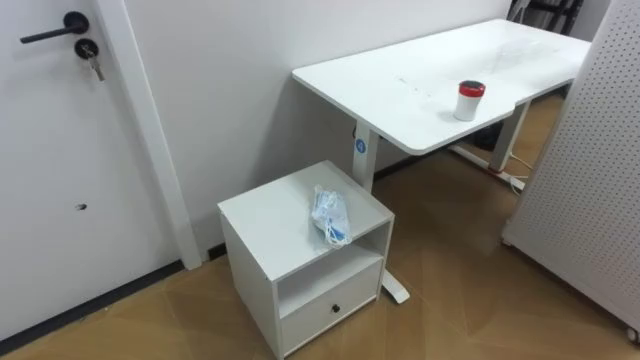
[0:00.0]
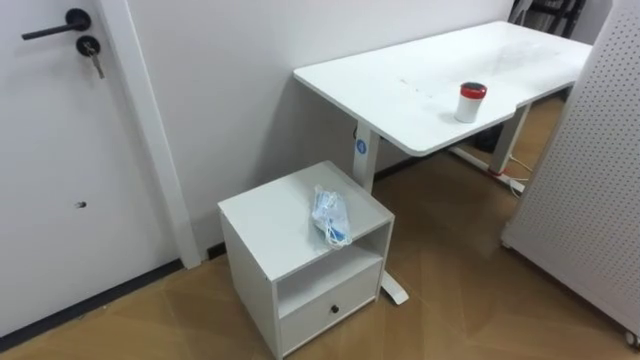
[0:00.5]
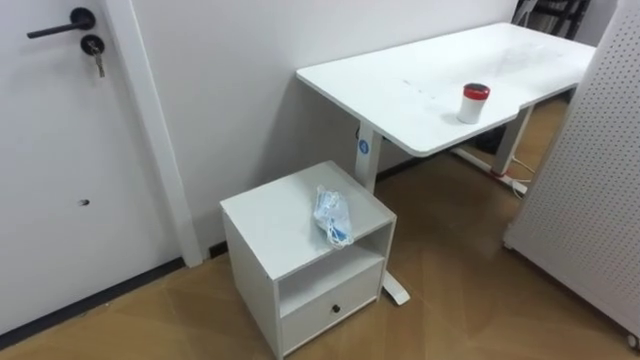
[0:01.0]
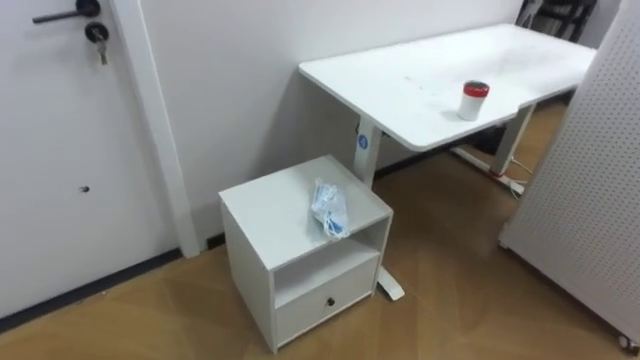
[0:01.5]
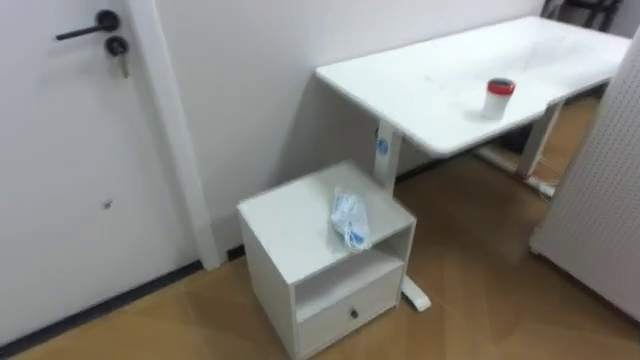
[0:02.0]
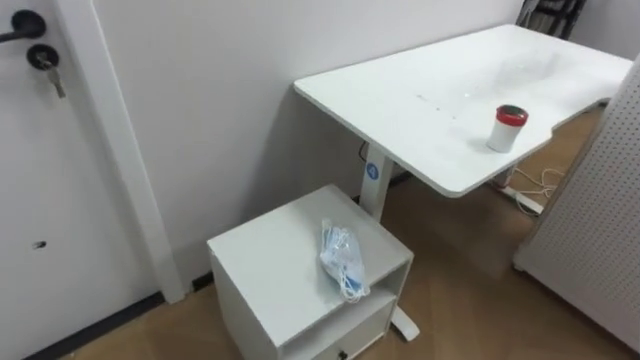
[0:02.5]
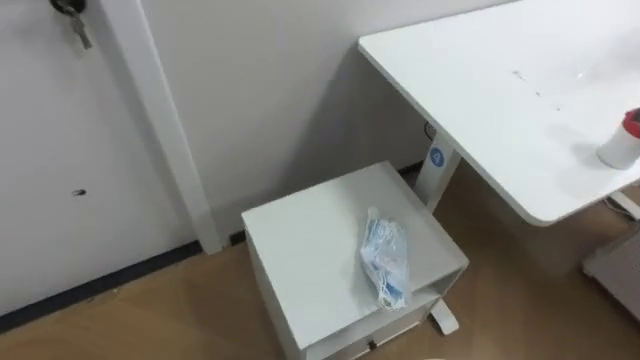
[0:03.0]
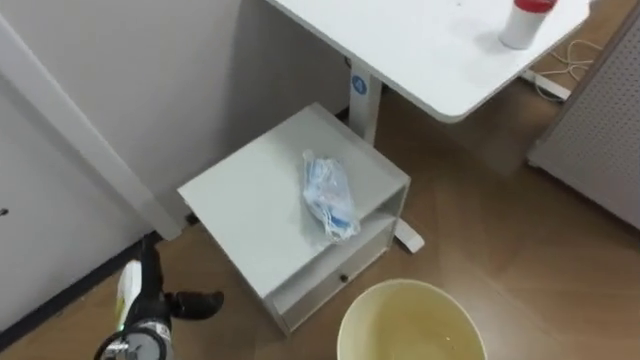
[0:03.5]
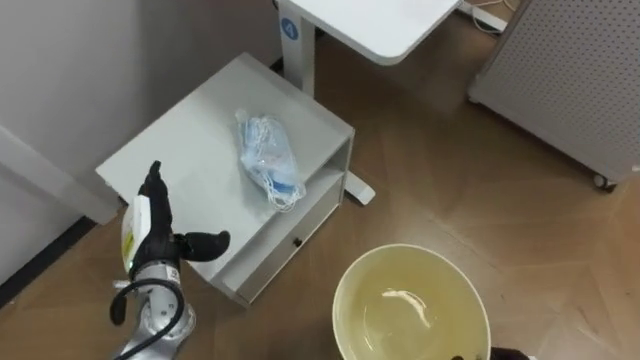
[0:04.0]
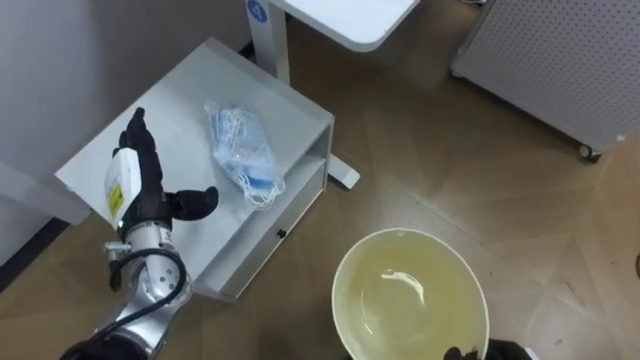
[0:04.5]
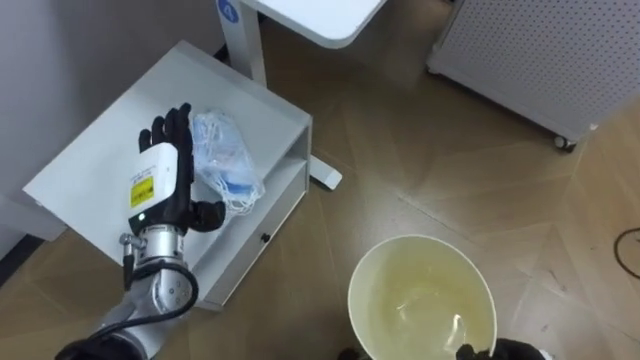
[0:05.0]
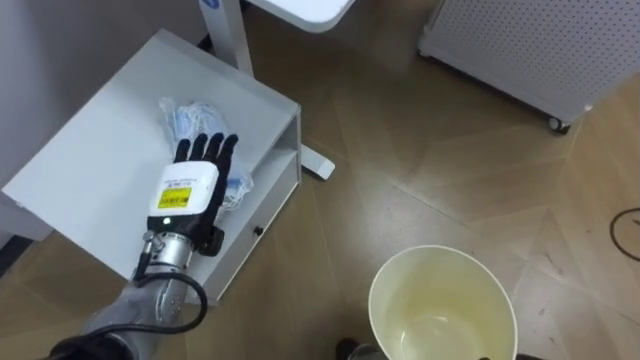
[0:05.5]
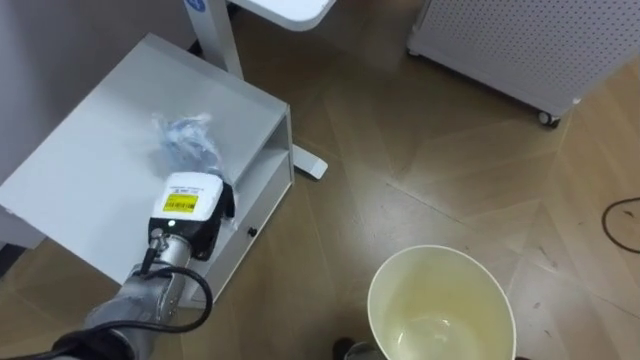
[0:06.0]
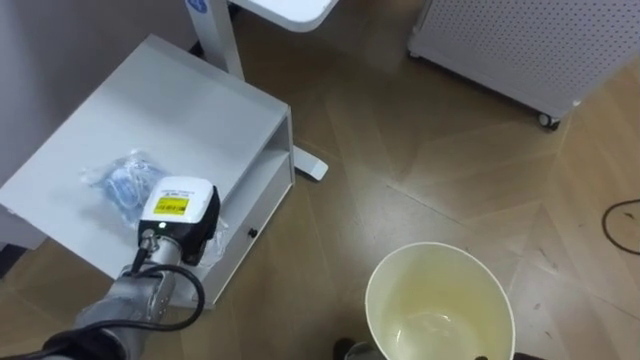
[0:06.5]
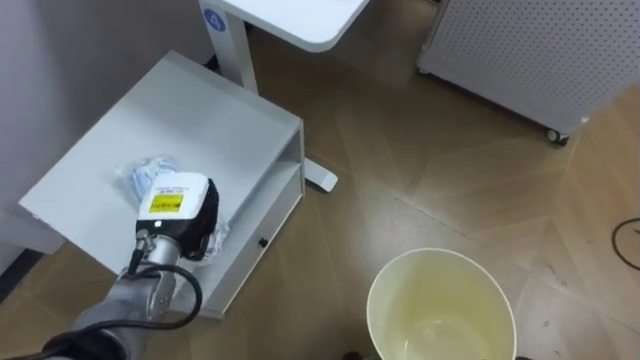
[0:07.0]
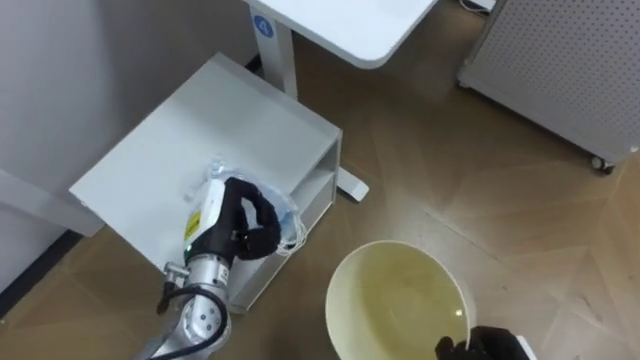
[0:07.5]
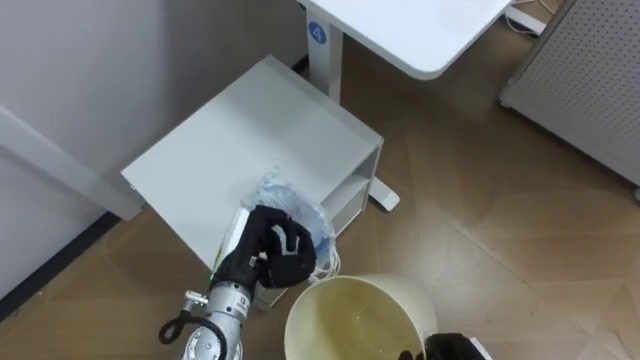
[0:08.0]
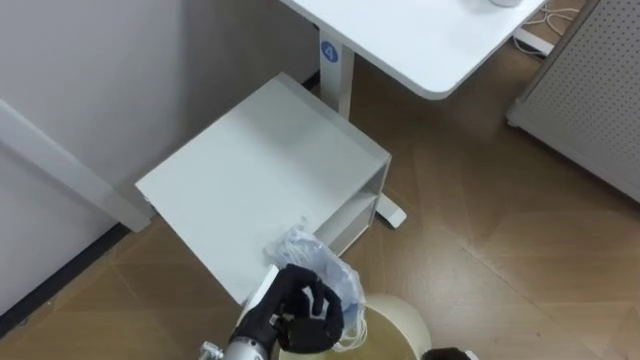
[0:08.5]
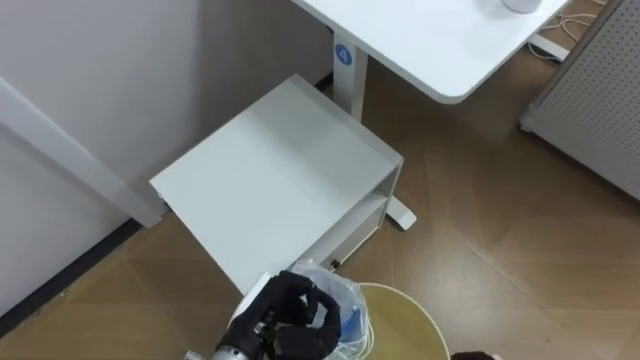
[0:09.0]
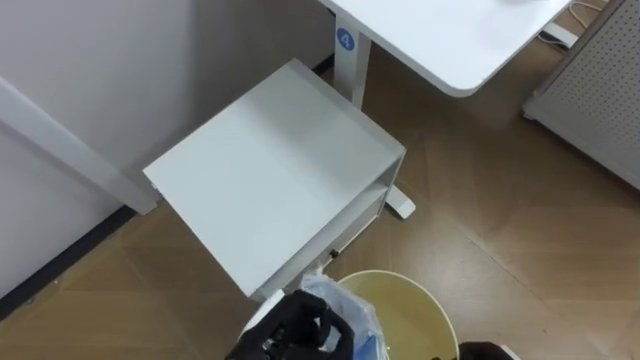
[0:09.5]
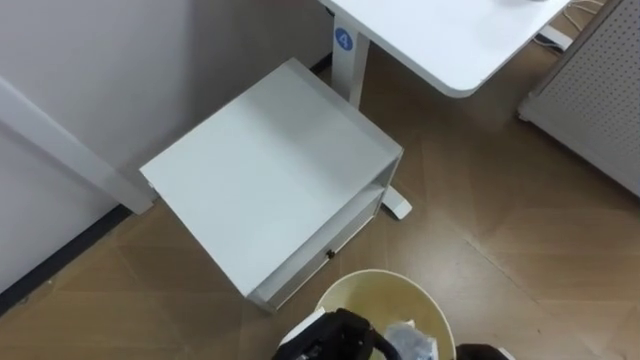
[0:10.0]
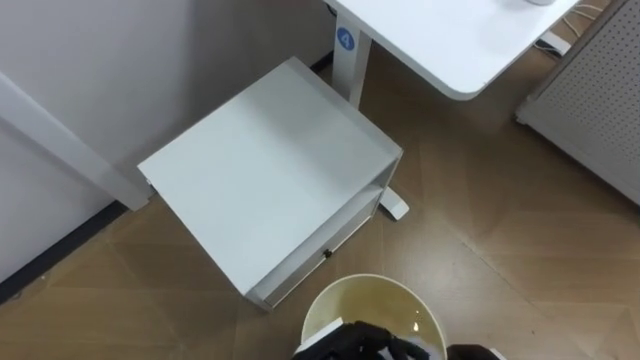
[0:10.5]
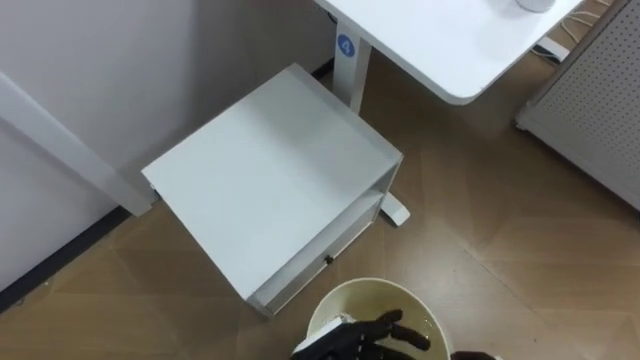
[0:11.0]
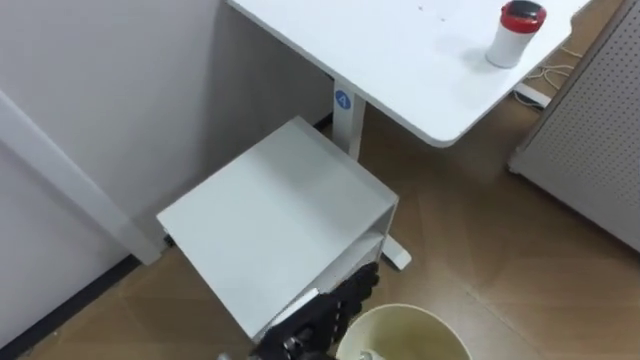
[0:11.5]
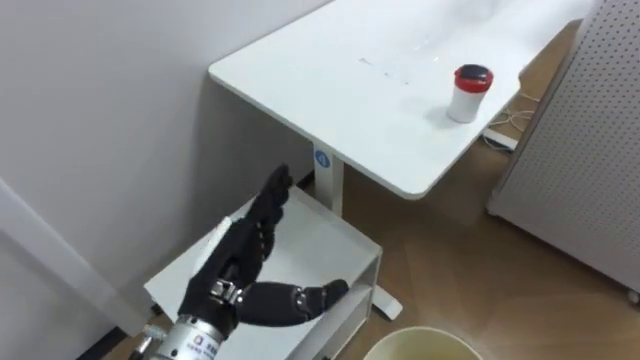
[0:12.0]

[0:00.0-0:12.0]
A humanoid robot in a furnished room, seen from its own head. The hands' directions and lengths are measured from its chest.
Task of the whole recording: Pick up the light blue package, the candy box, and the dark blue package separately, and put them into the trash can held in your right hand.
0:04.0 to 0:06.0: The left hand moves approximately 5 cm, and closes.
0:06.0 to 0:08.0: The left hand goes about 5 cm to the right, and closes.
0:08.0 to 0:10.0: The left hand heads backward and to the right, covering approximately 15 cm.

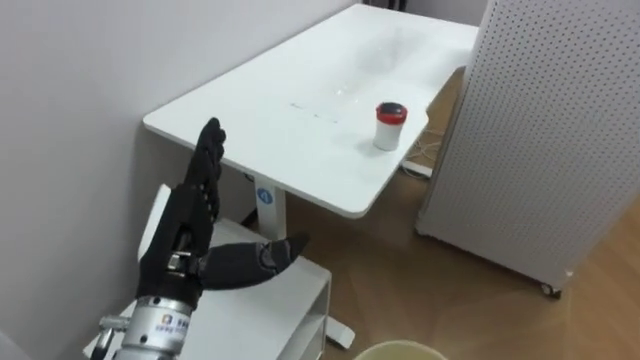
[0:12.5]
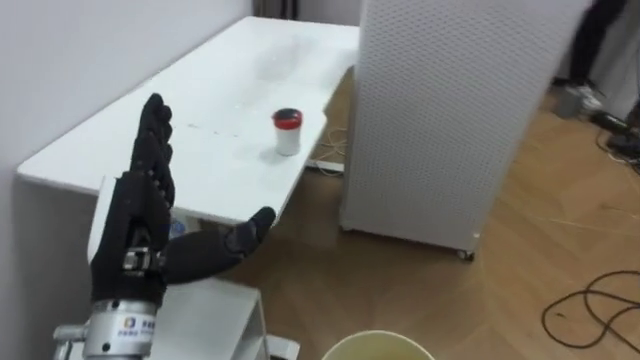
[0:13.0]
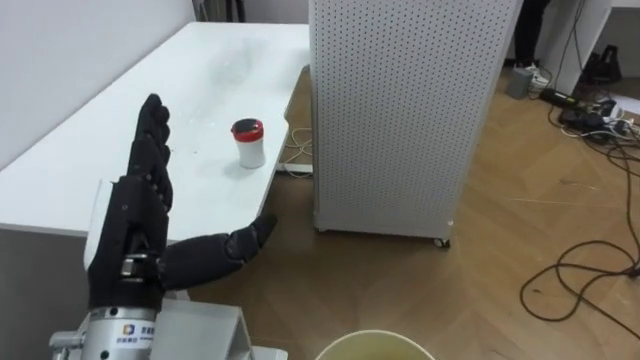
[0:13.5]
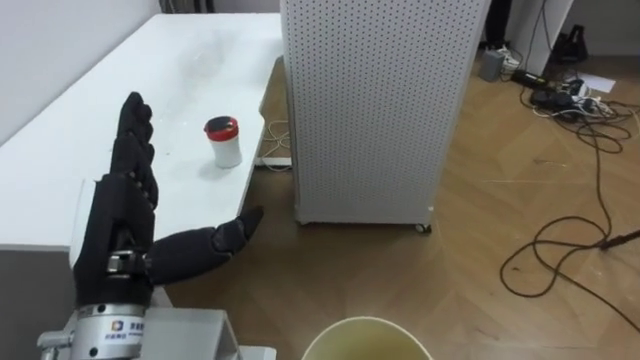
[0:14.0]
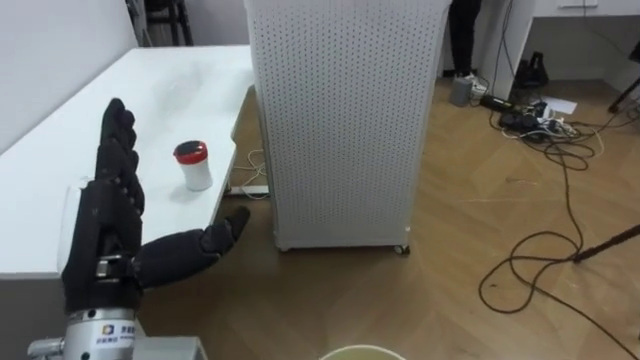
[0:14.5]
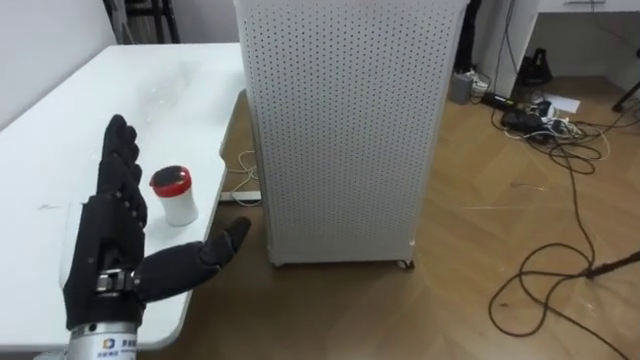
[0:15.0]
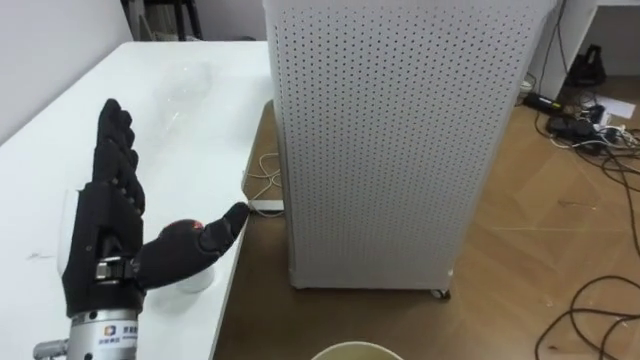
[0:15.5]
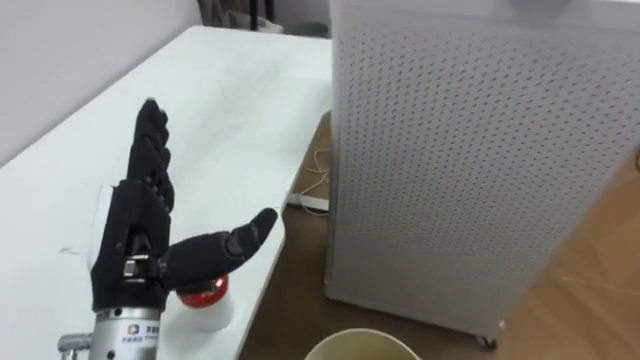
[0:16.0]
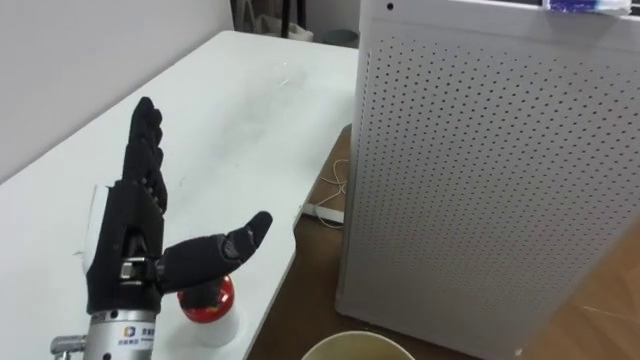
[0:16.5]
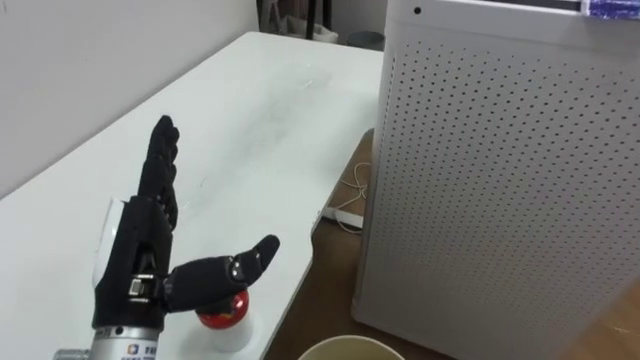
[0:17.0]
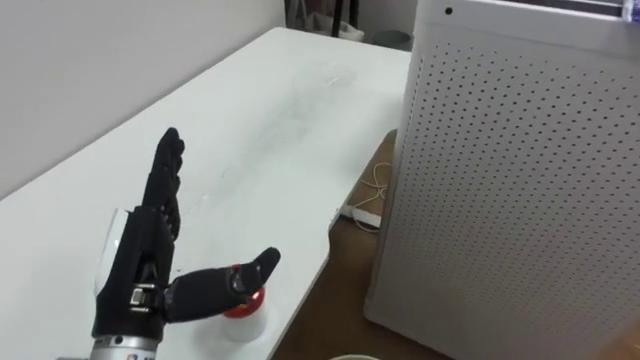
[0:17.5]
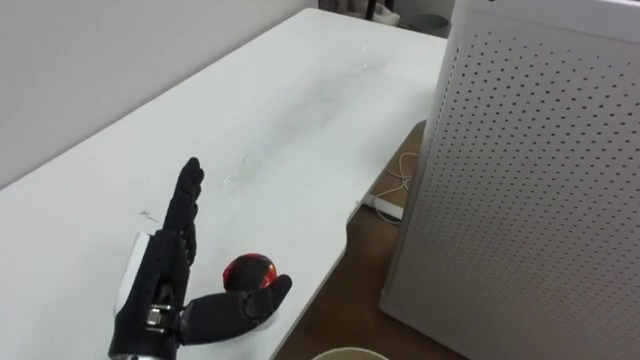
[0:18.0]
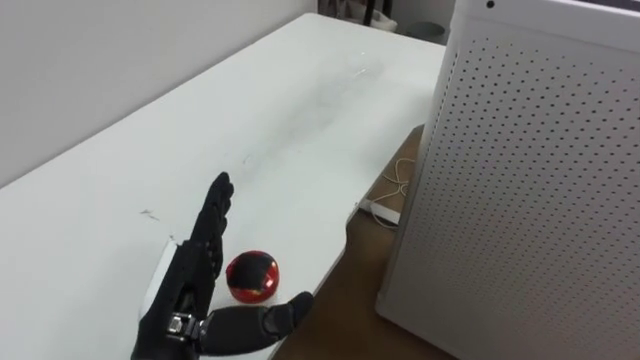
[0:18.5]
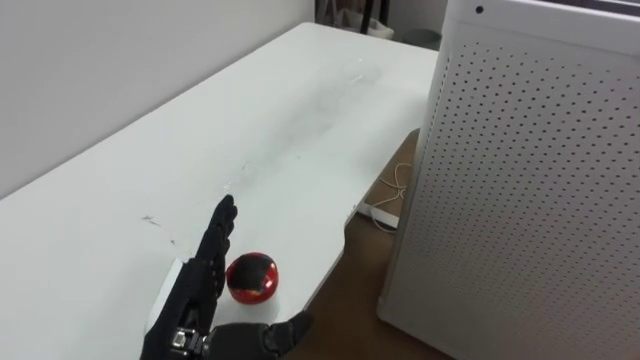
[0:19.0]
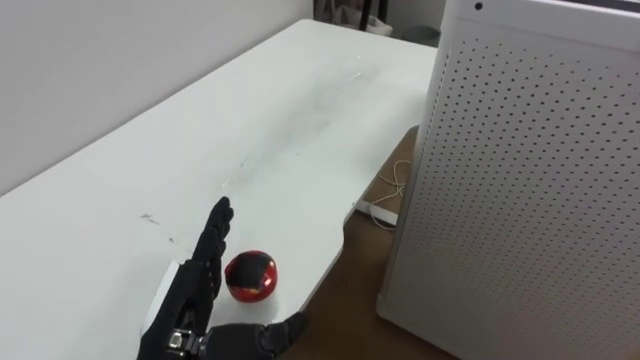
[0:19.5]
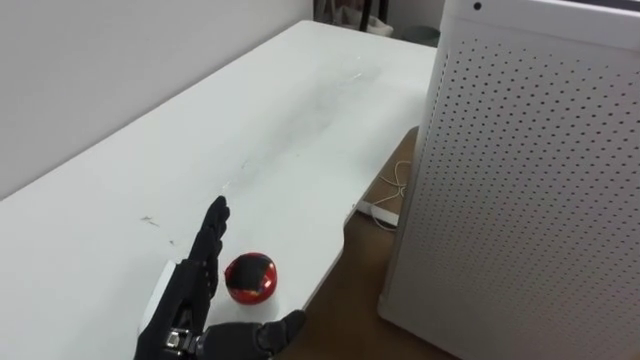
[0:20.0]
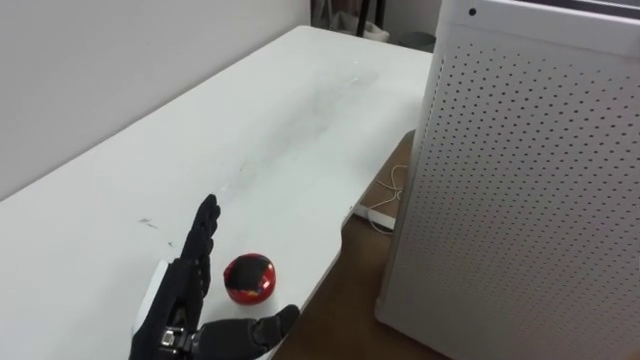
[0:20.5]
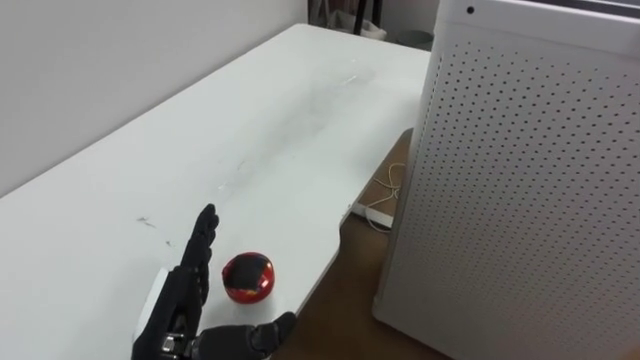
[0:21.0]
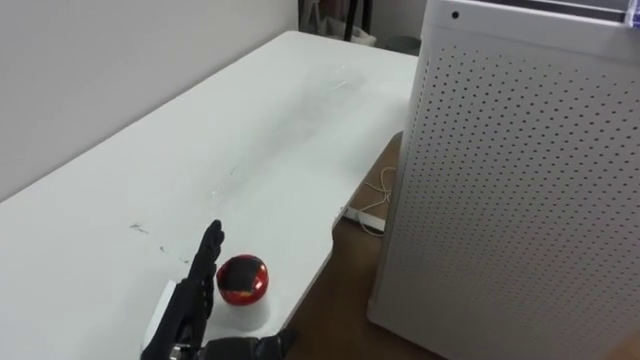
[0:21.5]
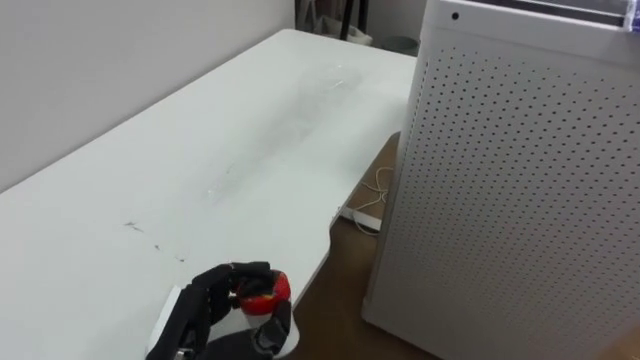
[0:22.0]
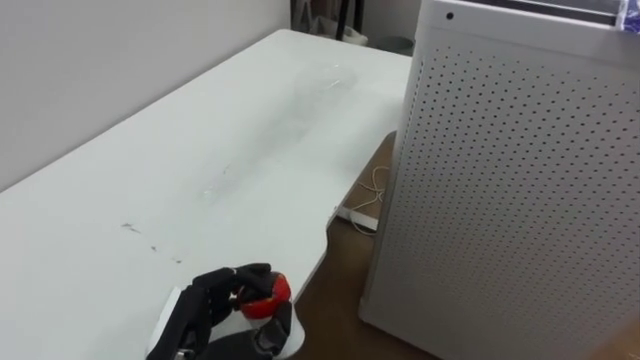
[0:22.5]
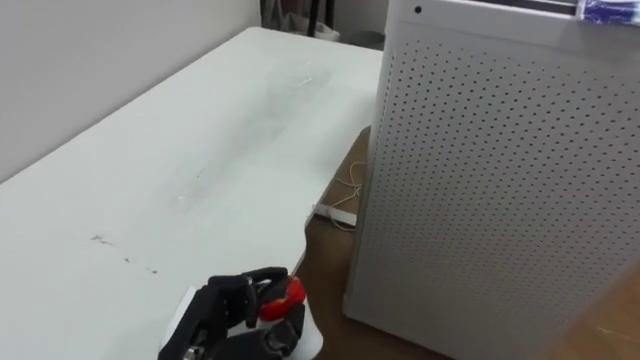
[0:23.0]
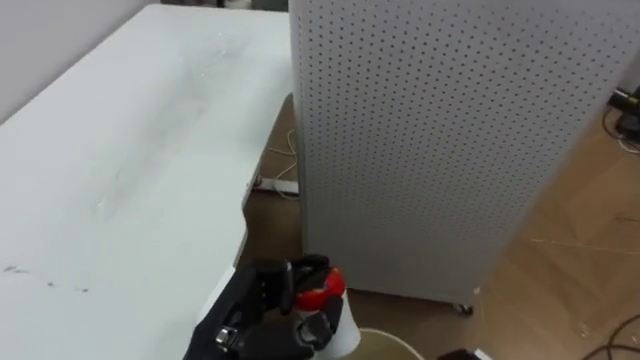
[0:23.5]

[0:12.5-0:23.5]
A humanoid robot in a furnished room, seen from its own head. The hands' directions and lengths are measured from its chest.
Task of the whole recording: Pick up the light blue package, the candy box, and the dark blue package separately, and put them into the trash can held in your right hand.
0:12.5 to 0:14.5: The robot faces some 35 degrees further to its right. The left hand moves to the left, roughly 5 cm.
0:16.0 to 0:18.0: The robot turns to its left by about 15 degrees.
0:21.5 to 0:23.5: The robot rotates some 15 degrees to its right. The left hand travels to the right by roughly 5 cm, and closes up.
